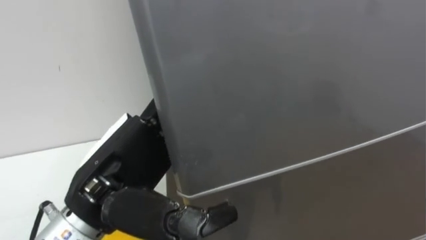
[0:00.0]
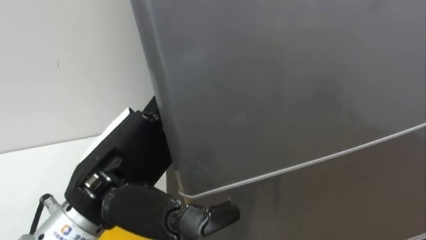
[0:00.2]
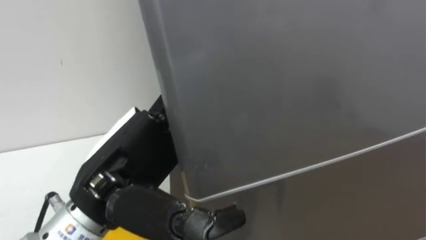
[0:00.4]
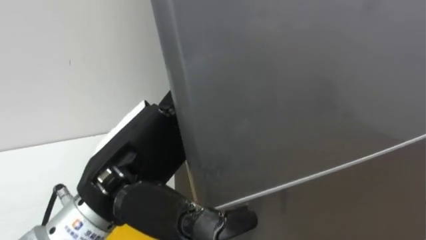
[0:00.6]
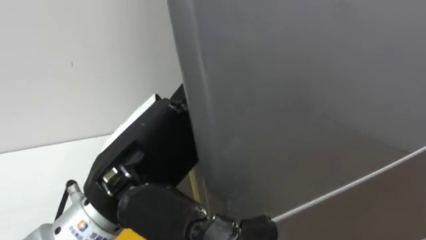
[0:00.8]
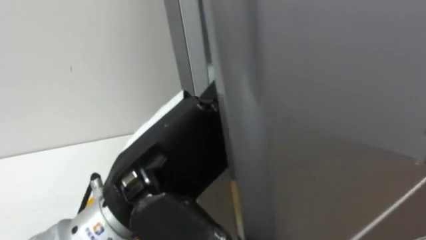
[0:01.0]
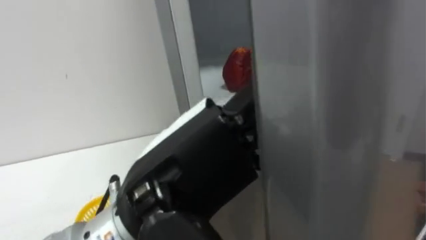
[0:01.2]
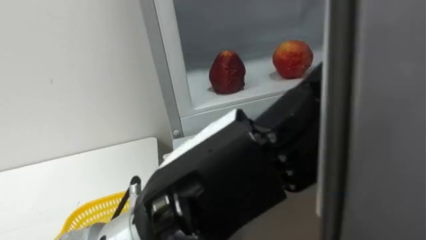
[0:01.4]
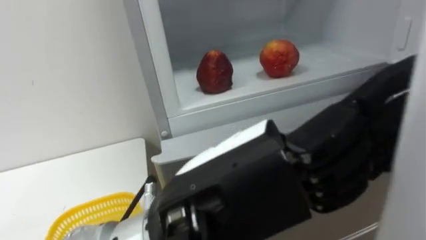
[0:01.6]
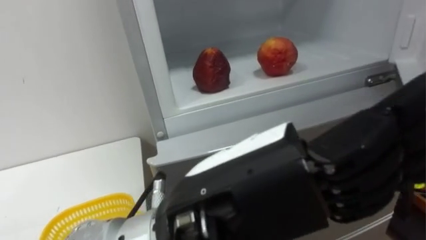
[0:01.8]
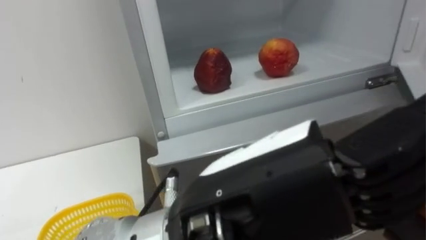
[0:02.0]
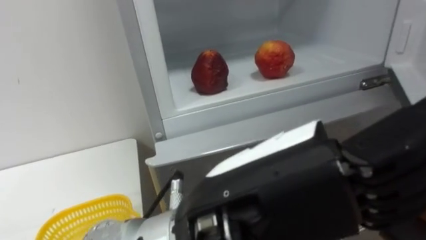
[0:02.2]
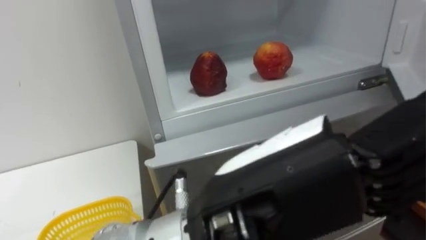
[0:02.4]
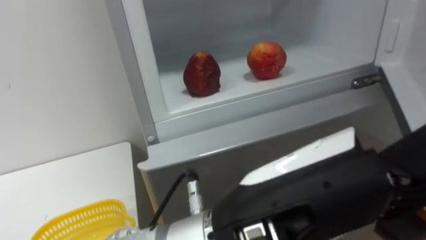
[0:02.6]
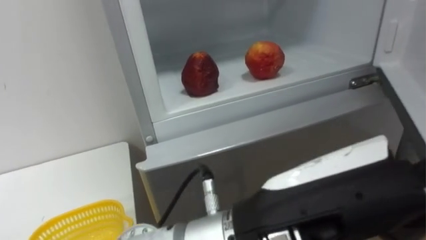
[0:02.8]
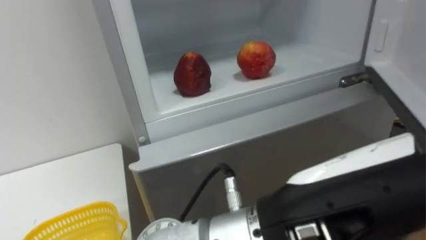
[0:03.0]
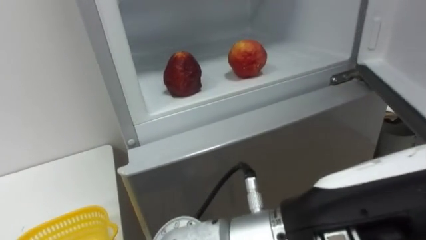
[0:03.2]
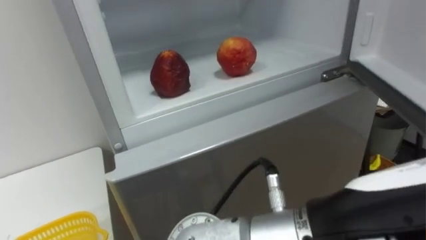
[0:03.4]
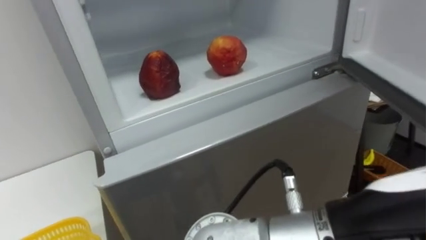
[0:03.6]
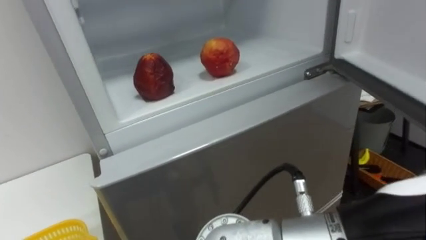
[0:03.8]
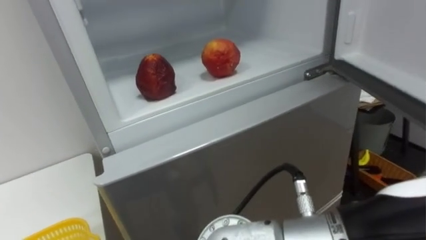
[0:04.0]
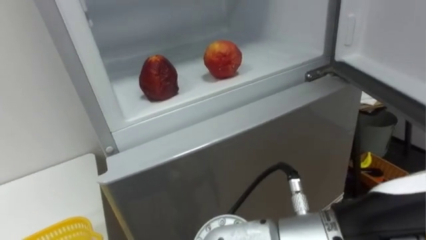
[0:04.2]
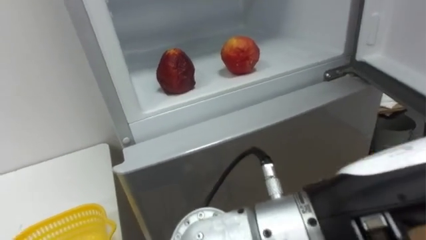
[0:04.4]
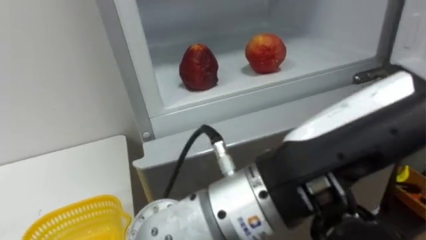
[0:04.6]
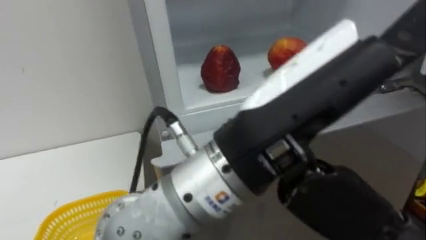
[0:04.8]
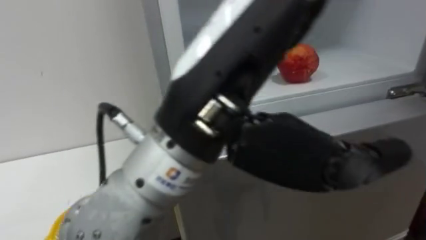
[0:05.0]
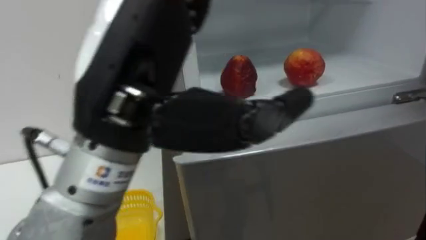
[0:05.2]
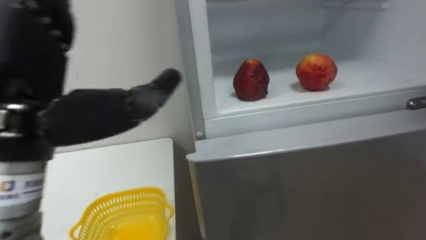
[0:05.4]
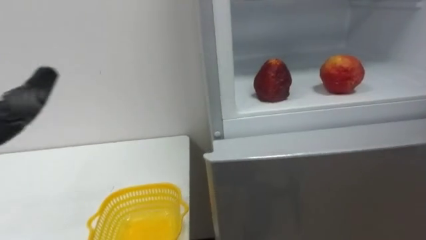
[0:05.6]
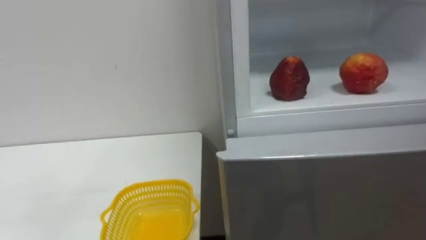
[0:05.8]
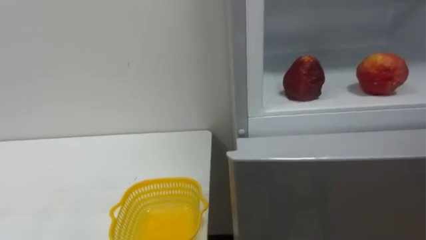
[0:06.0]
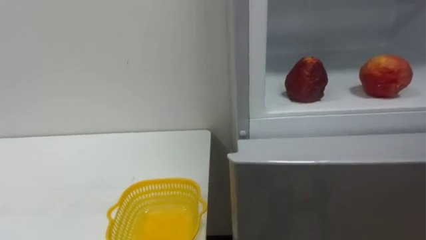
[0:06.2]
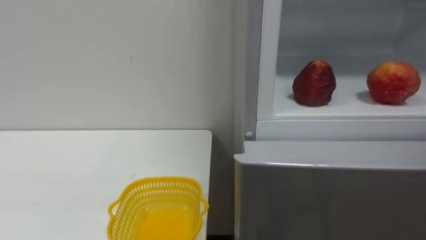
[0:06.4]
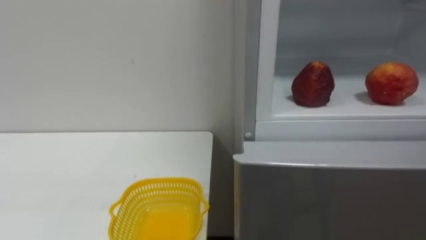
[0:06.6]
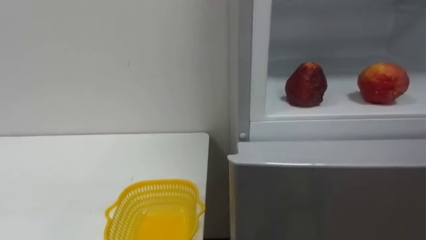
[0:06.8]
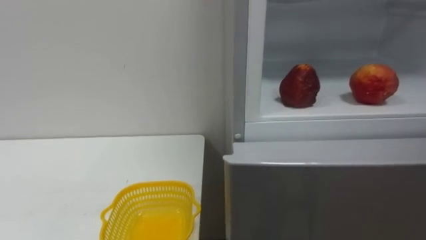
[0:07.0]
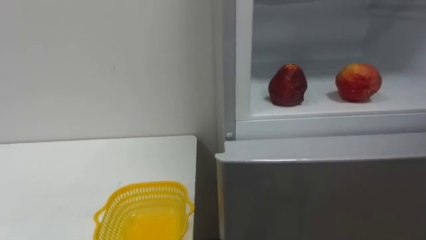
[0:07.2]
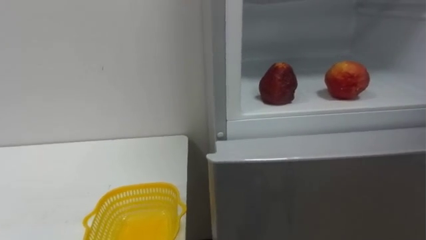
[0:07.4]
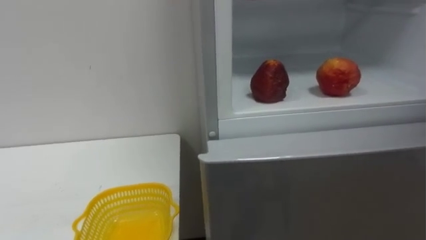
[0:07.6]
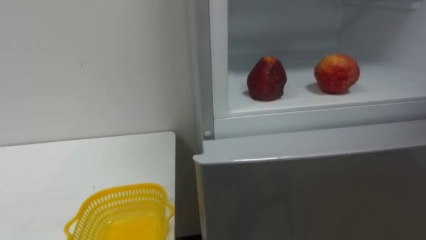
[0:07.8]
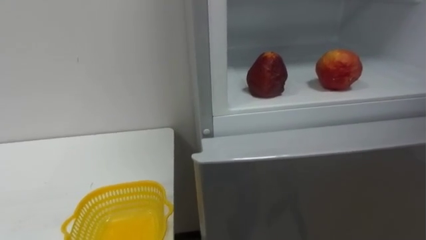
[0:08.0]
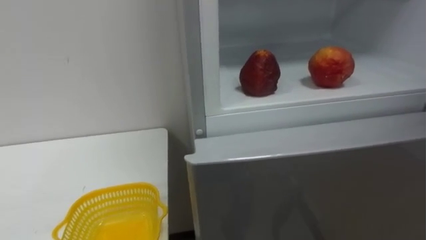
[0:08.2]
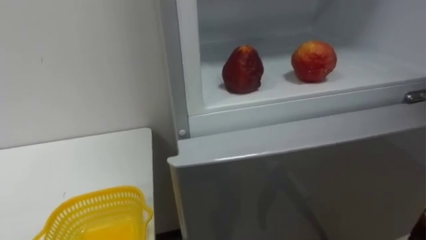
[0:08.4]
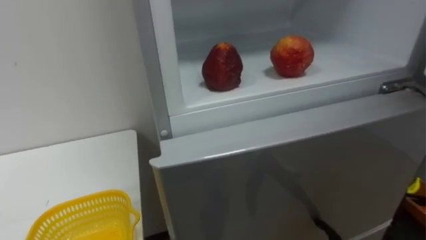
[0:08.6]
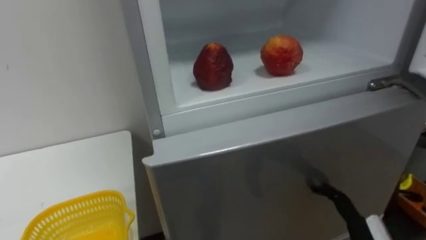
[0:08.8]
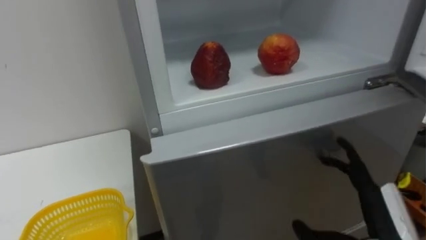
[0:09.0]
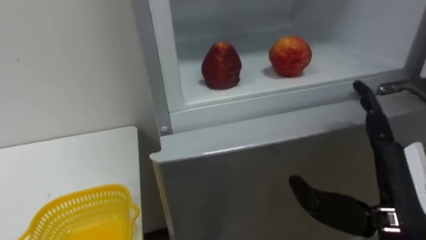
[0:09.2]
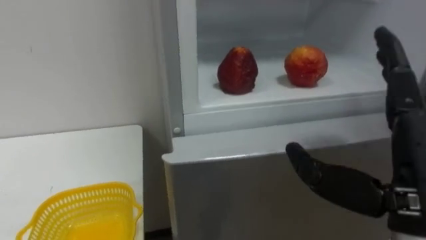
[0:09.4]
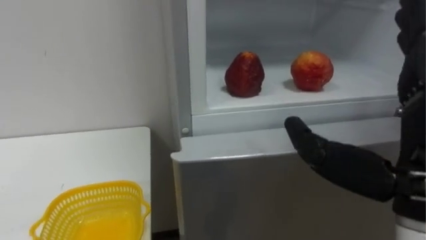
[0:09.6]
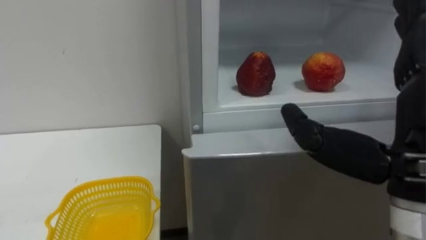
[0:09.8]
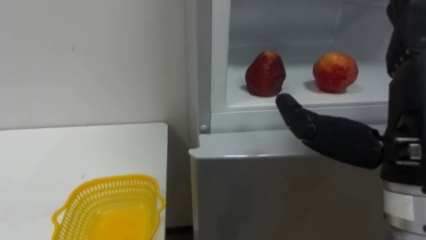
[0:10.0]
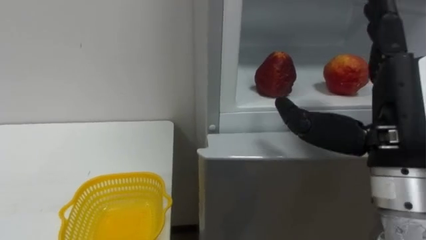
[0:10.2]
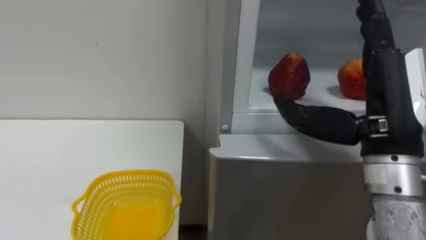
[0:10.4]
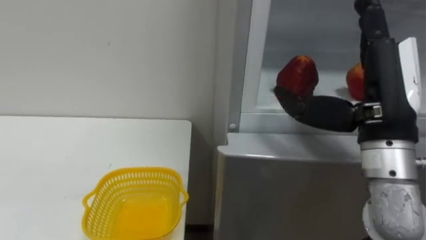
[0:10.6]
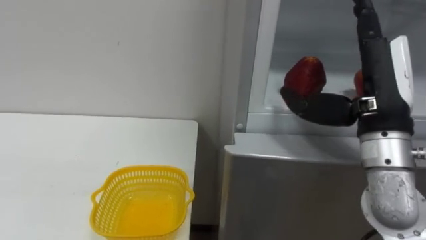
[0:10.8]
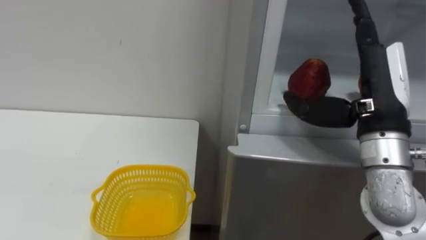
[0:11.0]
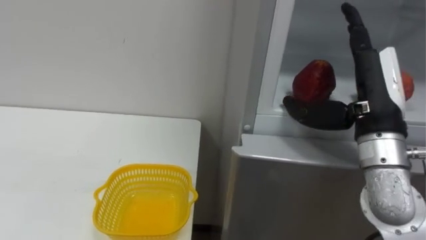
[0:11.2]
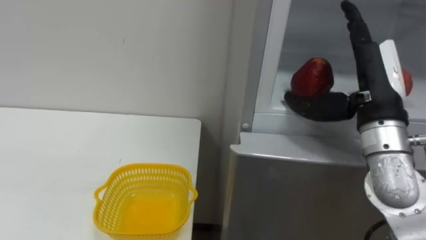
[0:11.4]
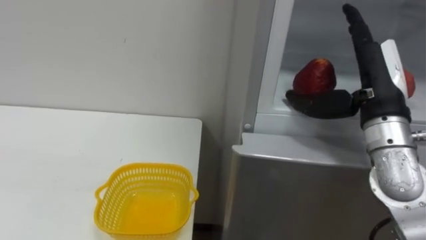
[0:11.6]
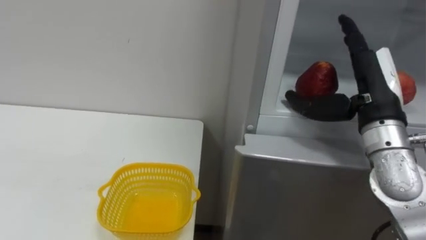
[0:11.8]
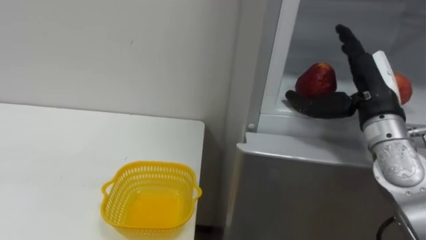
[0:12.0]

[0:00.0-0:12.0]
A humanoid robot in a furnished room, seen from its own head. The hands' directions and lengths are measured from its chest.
Task of the whole recording: Open the refrigerator door, take out the apple and the pomegranate, place them in the fruit basket on the left, and close the refrigerator door.
0:00.0 to 0:01.6: The left hand moves to the right and backward, about 15 cm.
0:01.6 to 0:03.0: The left hand goes approximately 5 cm to the right.
0:09.0 to 0:10.4: The right hand travels upward by approximately 15 cm.
0:10.4 to 0:12.0: The right hand goes roughly 10 cm forward.

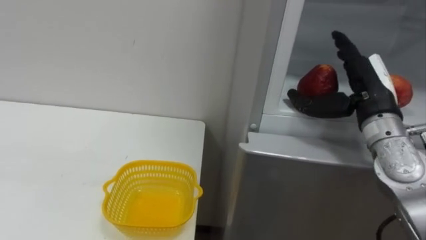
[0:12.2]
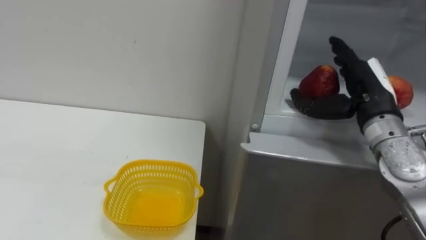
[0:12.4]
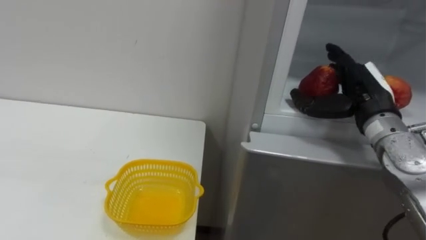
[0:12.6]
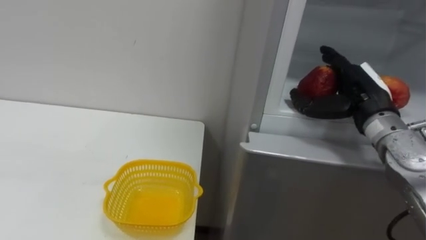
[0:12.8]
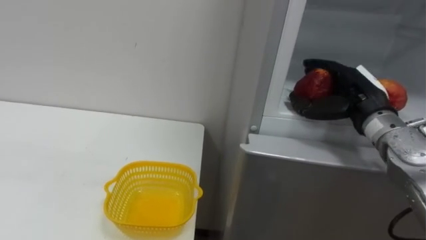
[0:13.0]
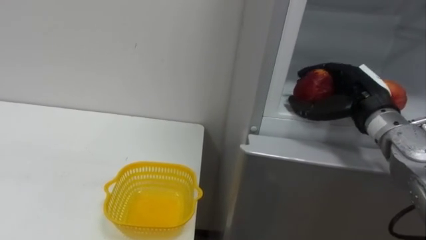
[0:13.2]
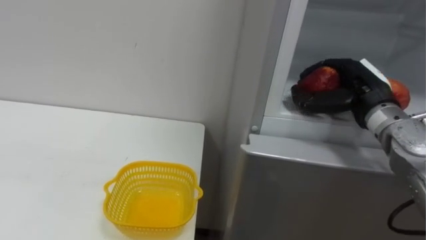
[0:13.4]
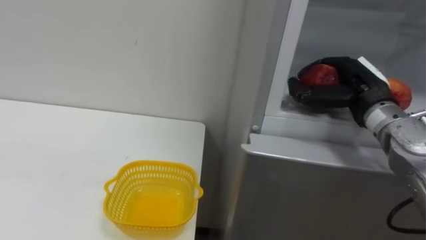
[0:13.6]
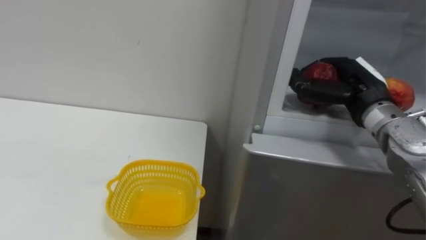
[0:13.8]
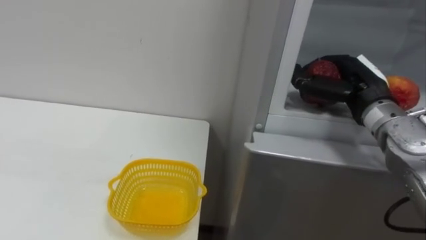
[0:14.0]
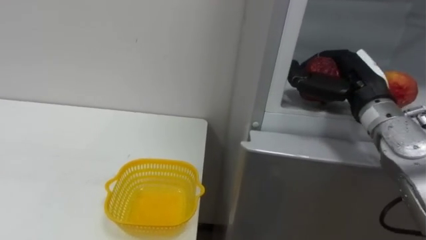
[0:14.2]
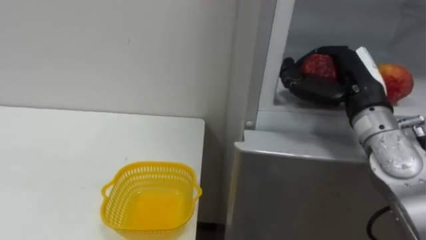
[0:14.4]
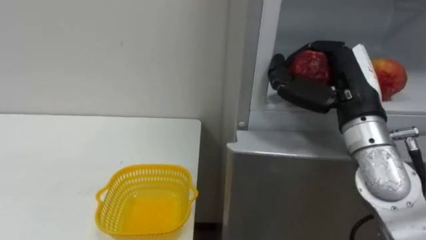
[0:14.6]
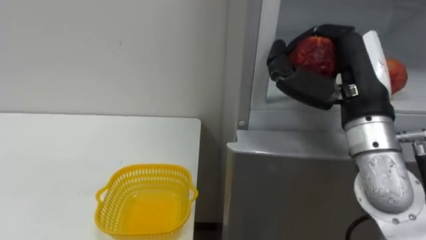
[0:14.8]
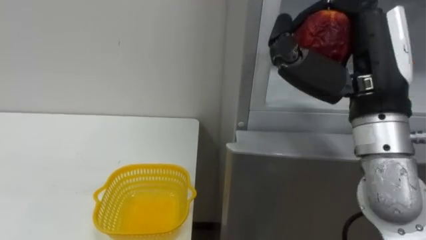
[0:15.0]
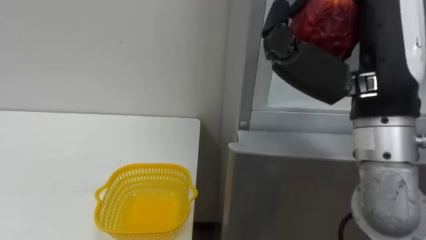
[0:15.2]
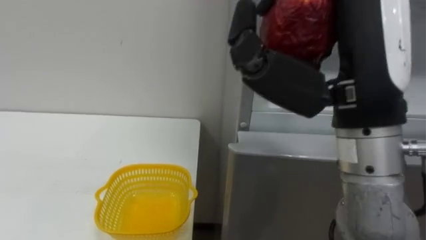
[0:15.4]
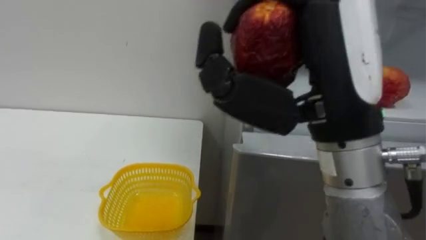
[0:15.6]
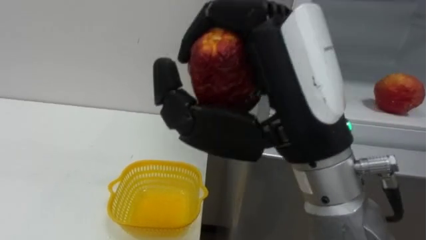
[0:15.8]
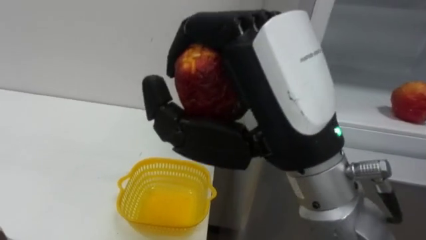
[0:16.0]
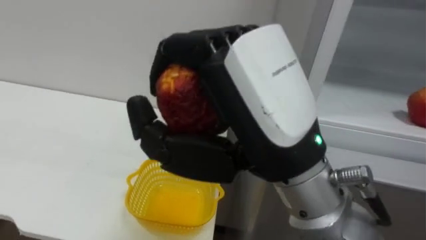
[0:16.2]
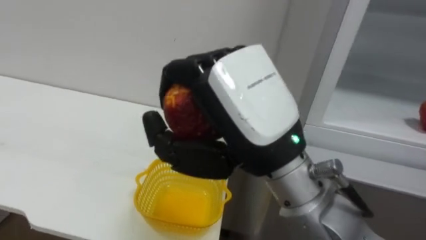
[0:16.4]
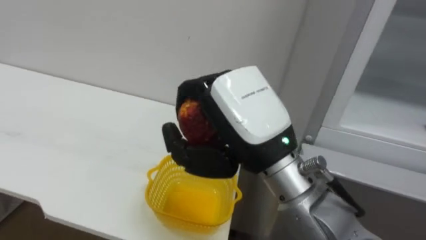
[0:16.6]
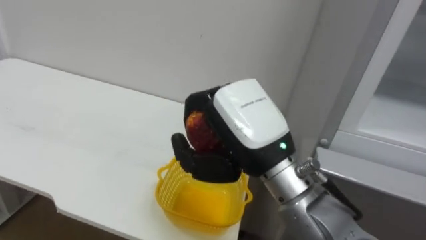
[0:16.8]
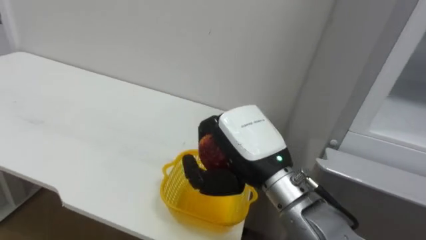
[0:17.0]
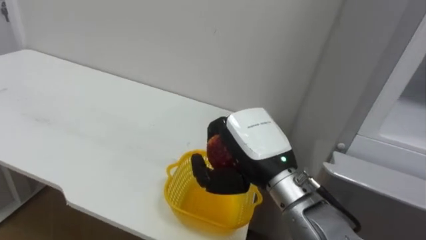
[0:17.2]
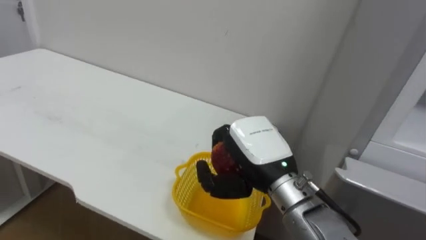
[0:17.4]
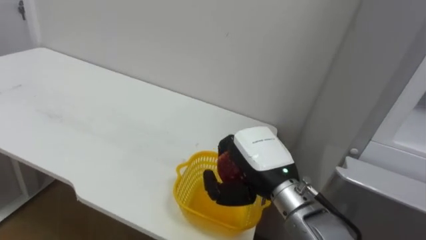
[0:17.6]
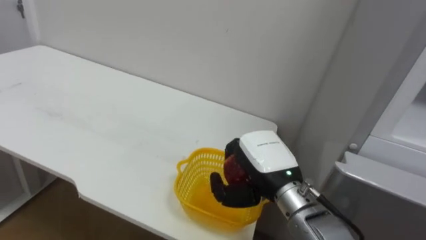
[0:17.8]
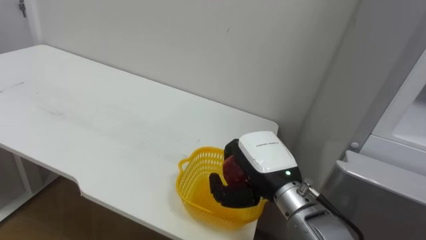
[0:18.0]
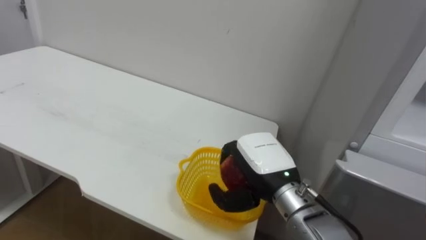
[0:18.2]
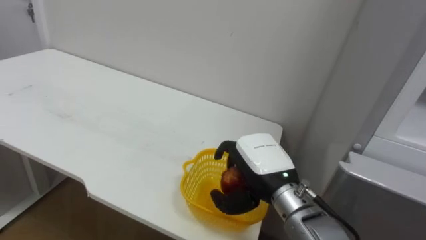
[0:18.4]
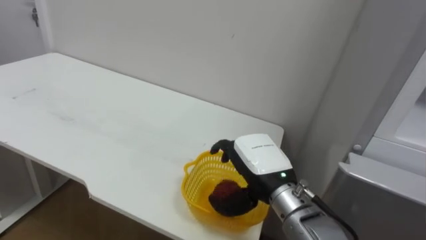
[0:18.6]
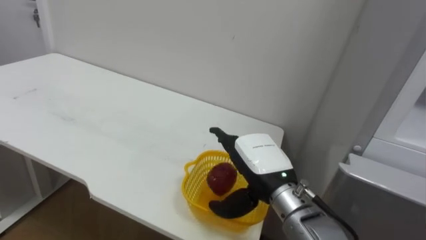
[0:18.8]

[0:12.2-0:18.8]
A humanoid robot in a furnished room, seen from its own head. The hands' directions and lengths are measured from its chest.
Task of the whole recording: Open the refrigerator door, take out the apple and the pomegranate, place them in the fruit basket on the left, and close the refrigerator door.
0:12.2 to 0:13.8: The right hand closes.
0:13.8 to 0:15.4: The right hand heads backward, upward and to the left, covering some 20 cm.
0:15.4 to 0:17.2: The right hand is displaced downward, forward and to the left by roughly 20 cm.
0:17.2 to 0:18.8: The right hand goes approximately 5 cm downward, and opens its fingers.
